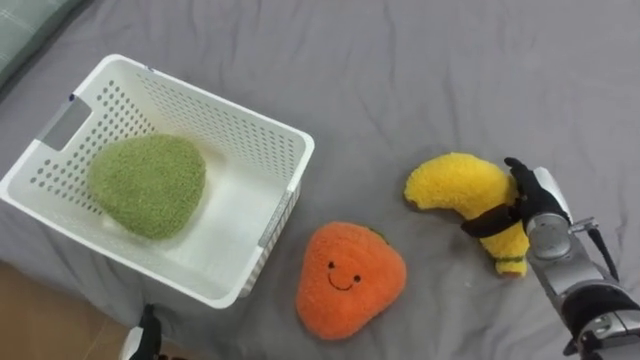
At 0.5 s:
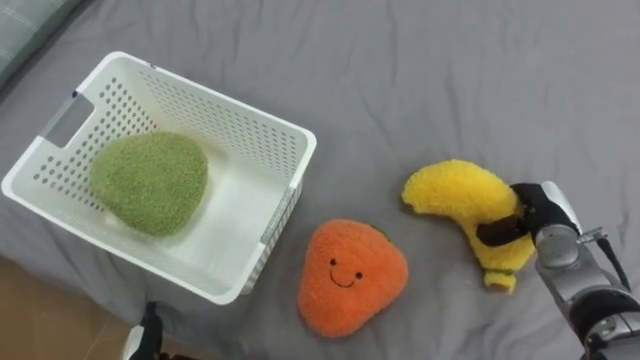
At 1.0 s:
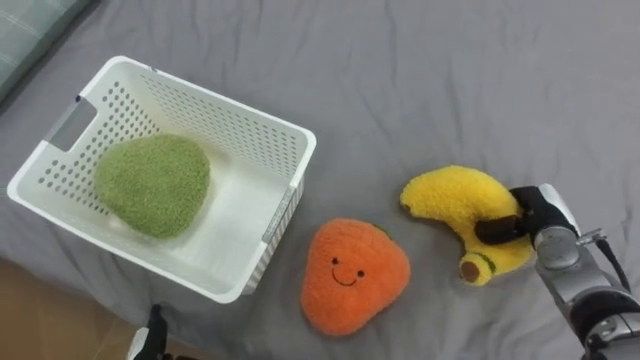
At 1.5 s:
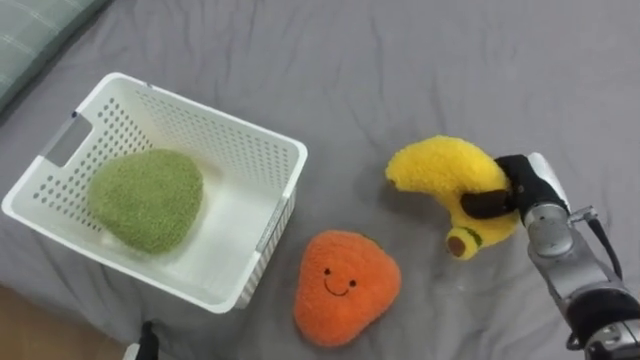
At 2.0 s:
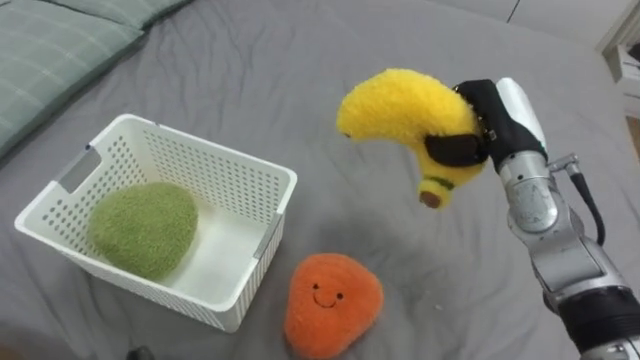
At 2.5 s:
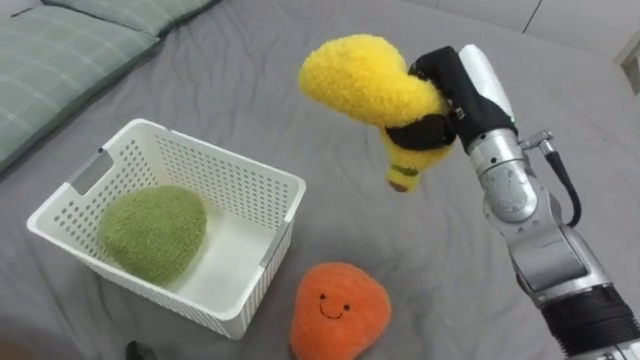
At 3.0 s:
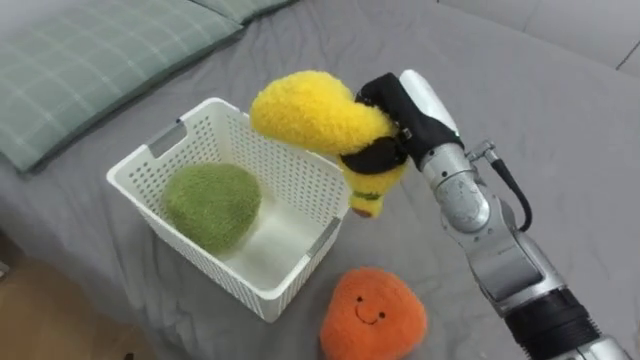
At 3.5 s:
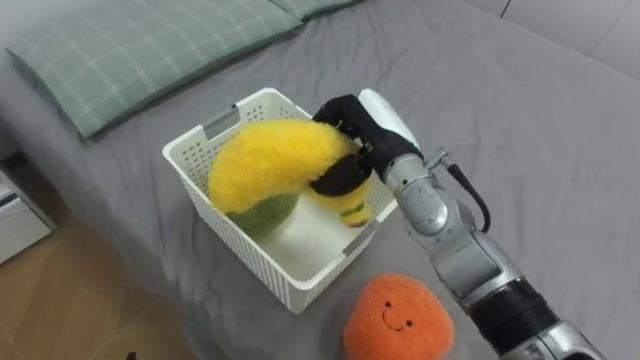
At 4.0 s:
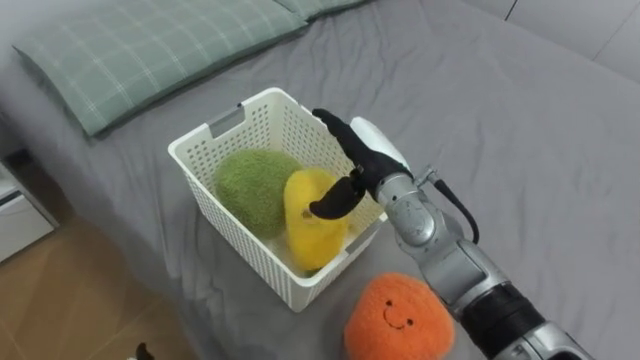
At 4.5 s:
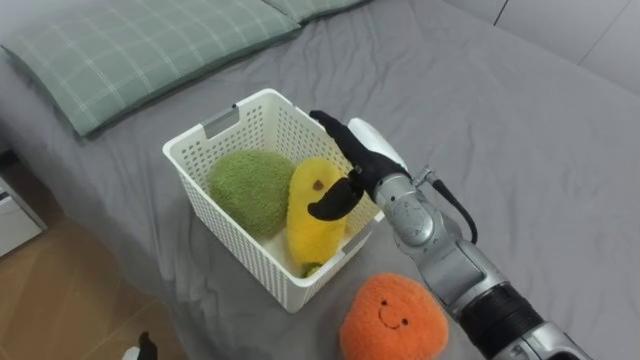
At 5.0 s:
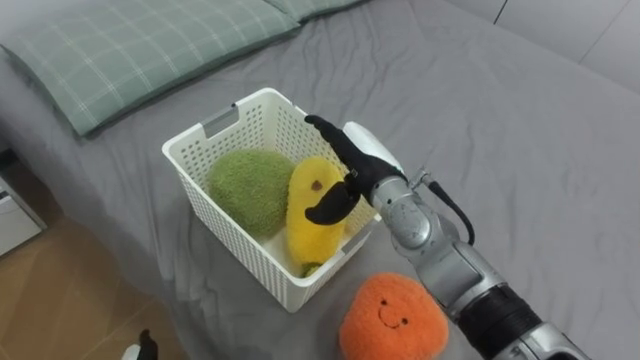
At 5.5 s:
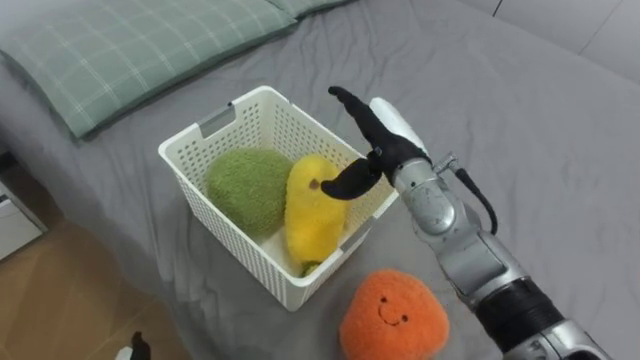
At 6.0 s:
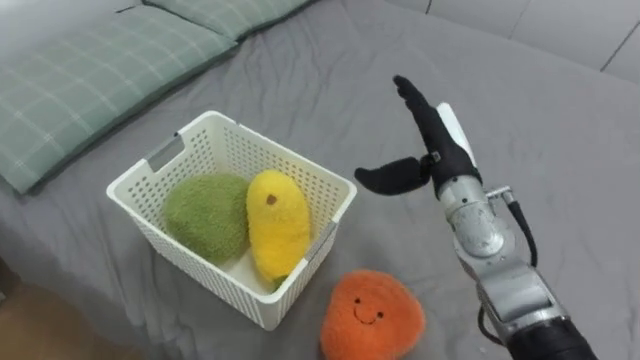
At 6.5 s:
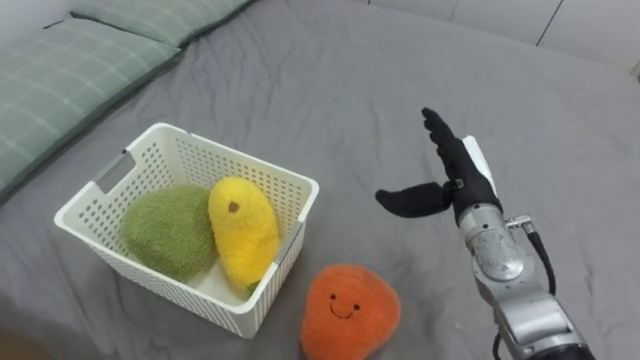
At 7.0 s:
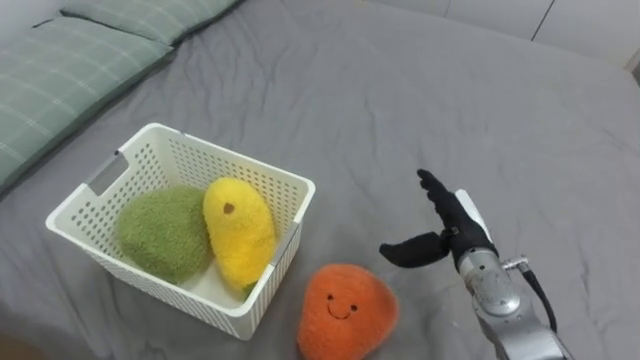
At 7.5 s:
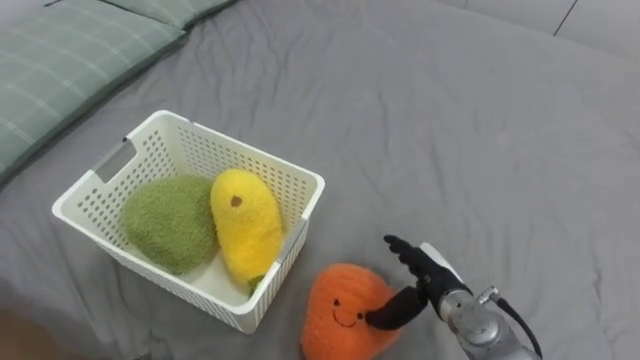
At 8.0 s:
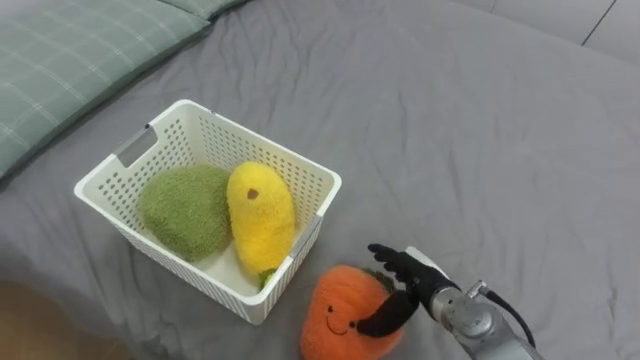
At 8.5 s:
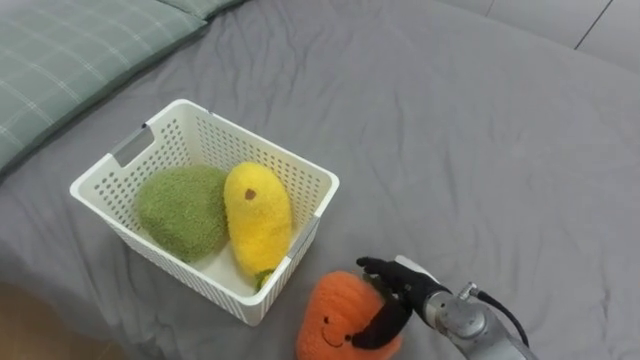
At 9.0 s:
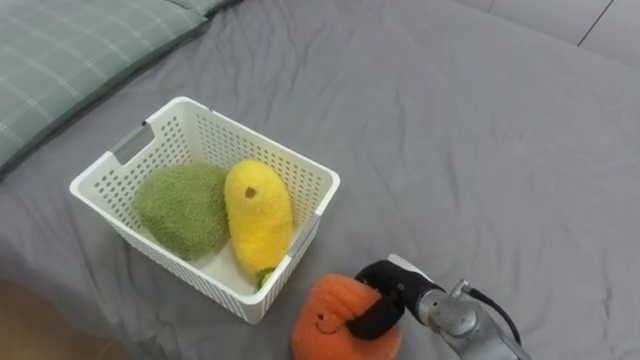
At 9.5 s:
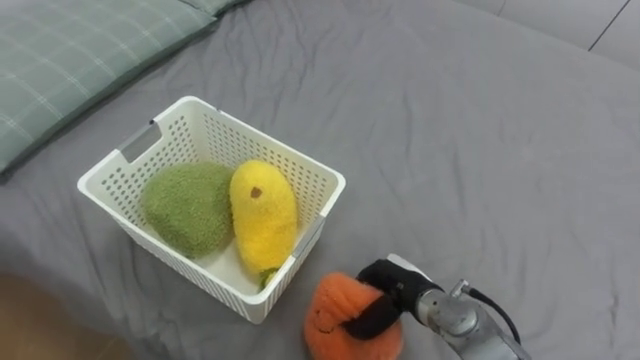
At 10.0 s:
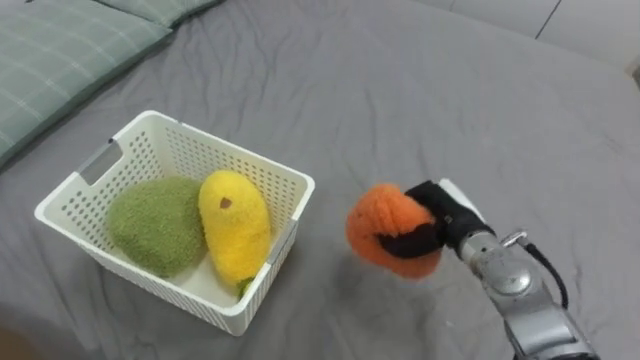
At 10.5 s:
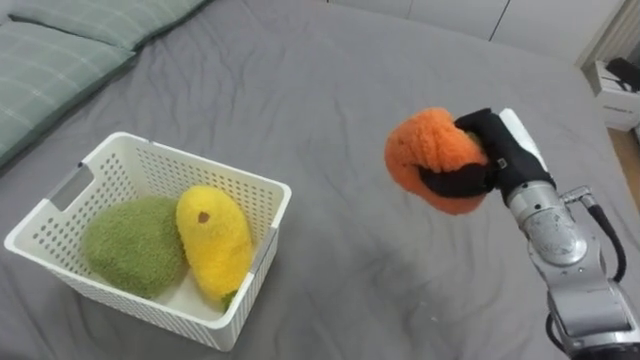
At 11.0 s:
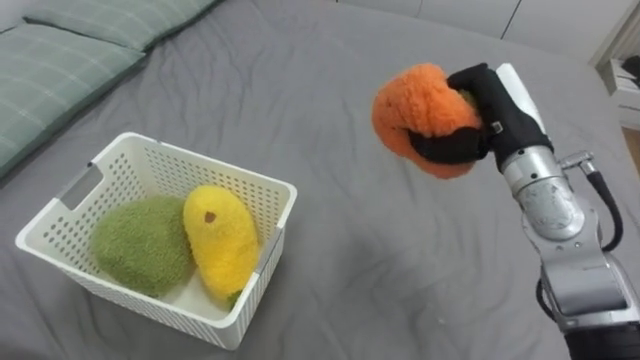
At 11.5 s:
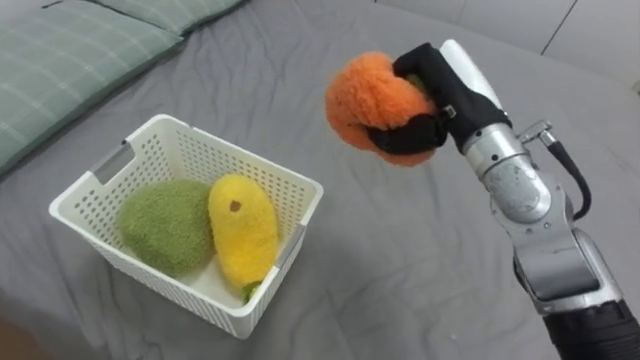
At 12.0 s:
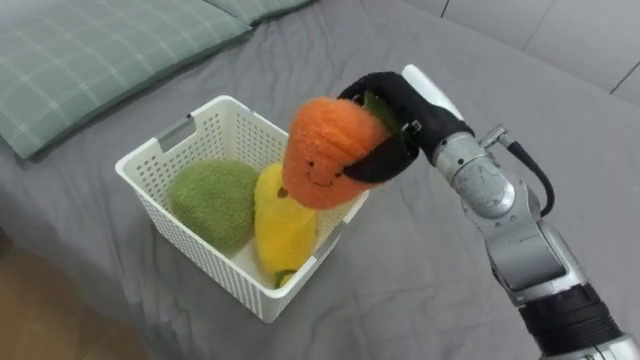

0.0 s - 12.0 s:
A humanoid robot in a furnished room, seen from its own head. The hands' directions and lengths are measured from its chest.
Task of the whole recording: Put the toys on the bed into the basket on the left.
0.0 s - 2.0 s: The right hand is displaced upward and to the left by about 15 cm, and closes.
2.0 s - 4.0 s: The right hand shifts some 15 cm to the left, and opens its fingers.
4.0 s - 6.0 s: The right hand moves to the right, approximately 10 cm.
6.0 s - 8.0 s: The right hand shifts some 20 cm downward and backward.
8.0 s - 10.0 s: The right hand is displaced upward and forward by about 10 cm, and closes its fingers.
10.0 s - 12.0 s: The right hand goes about 15 cm upward, and opens its fingers.

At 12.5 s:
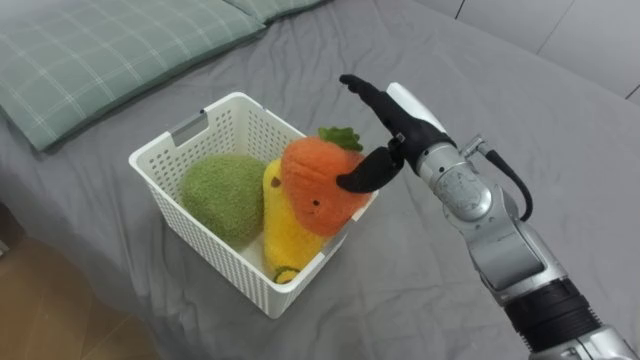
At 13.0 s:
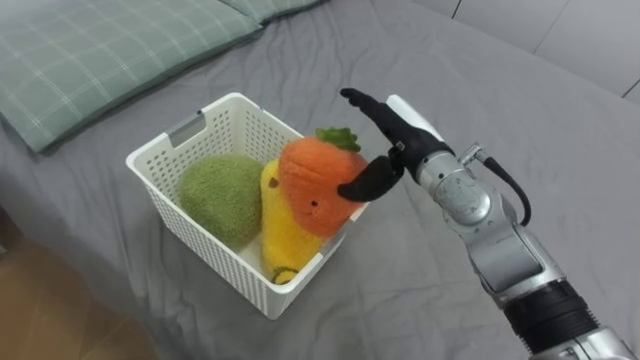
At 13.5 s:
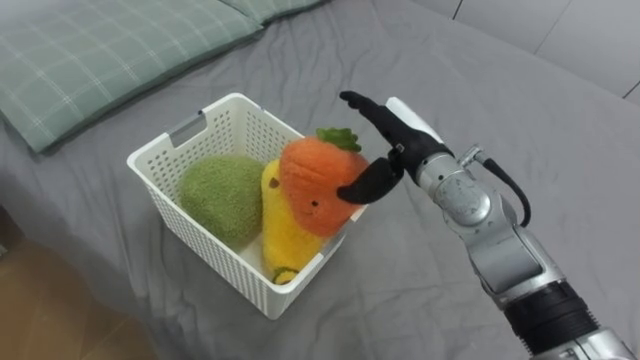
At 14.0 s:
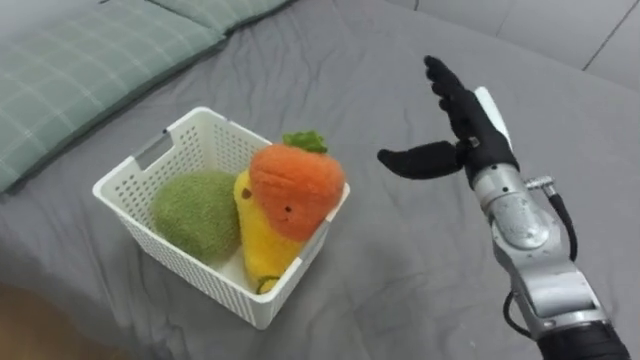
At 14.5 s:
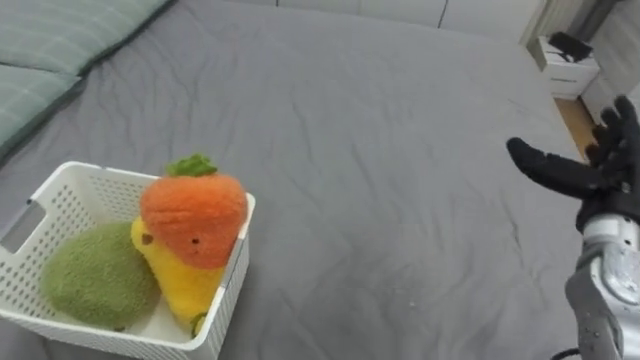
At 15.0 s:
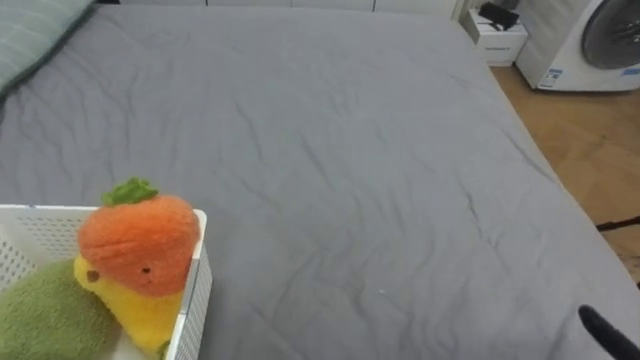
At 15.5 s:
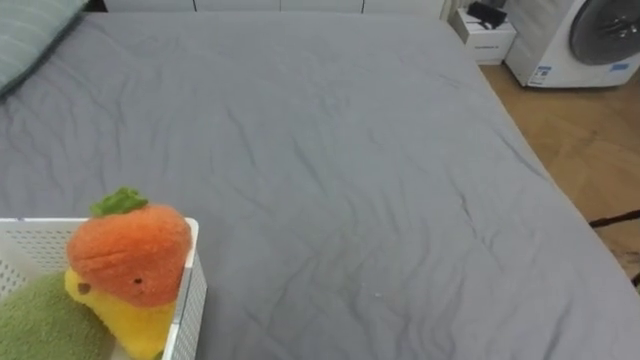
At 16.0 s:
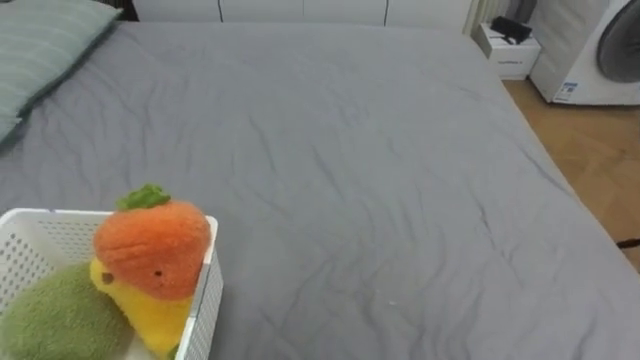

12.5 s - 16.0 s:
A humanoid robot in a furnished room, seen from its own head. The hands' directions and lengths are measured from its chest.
Task of the whole recording: Put the toys on the bed into the basket on the left.
12.5 s - 14.5 s: The right hand is displaced to the right by about 25 cm.

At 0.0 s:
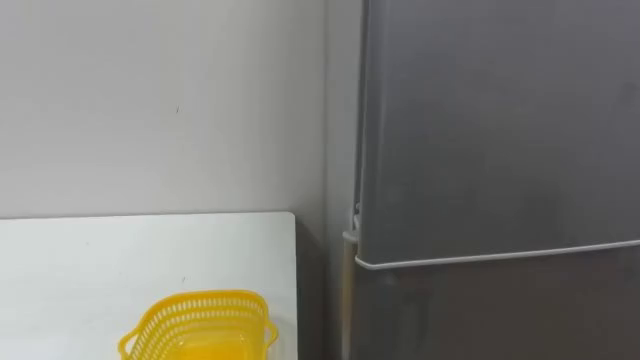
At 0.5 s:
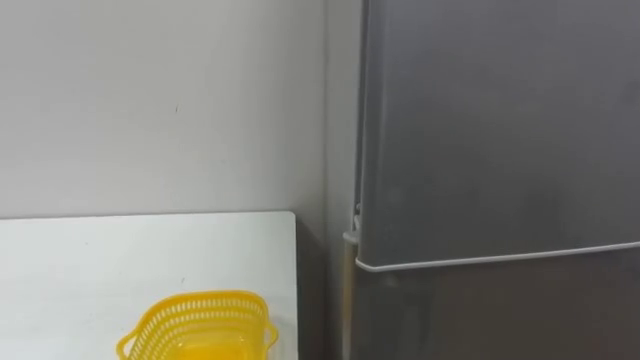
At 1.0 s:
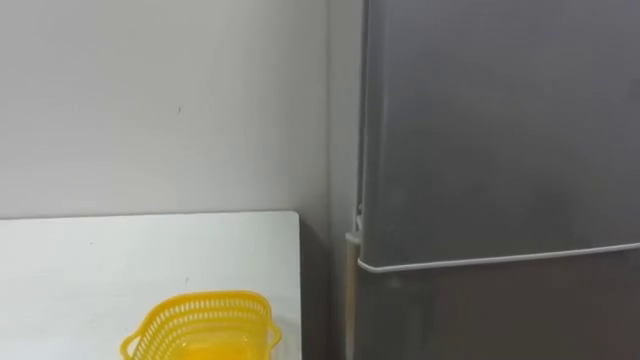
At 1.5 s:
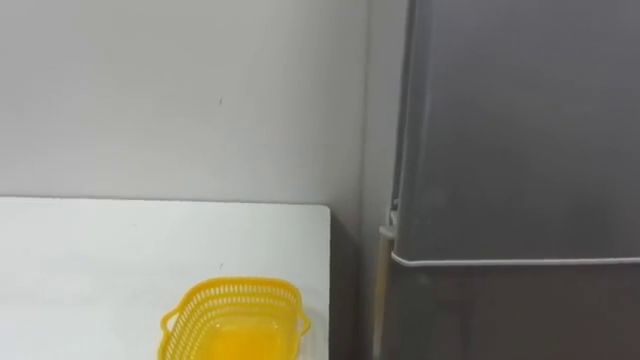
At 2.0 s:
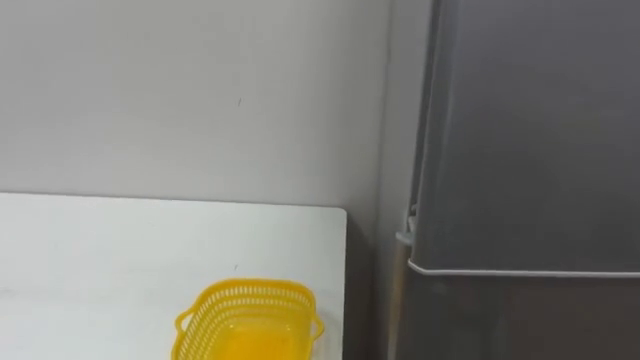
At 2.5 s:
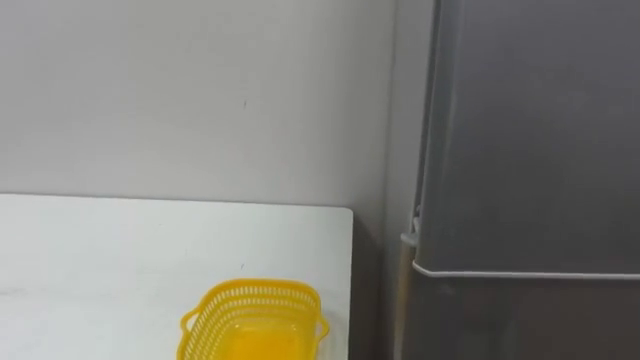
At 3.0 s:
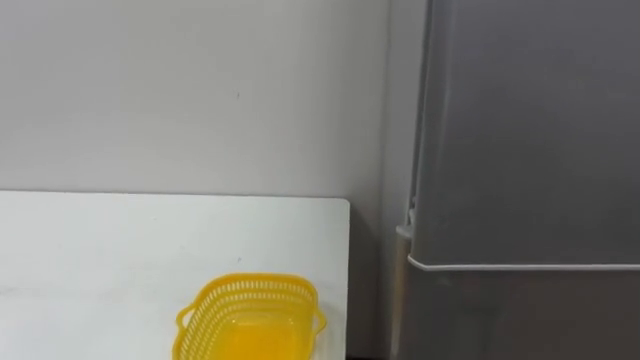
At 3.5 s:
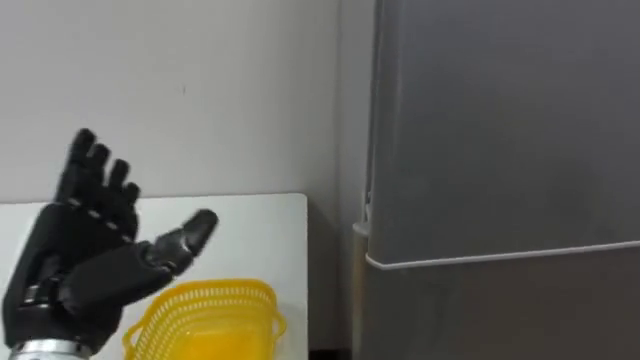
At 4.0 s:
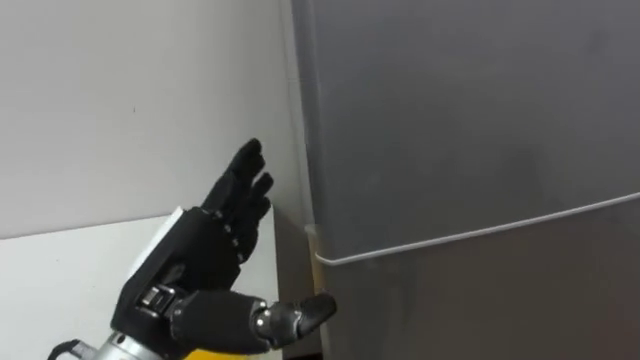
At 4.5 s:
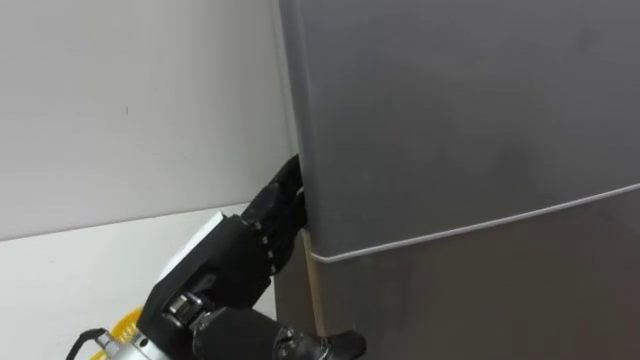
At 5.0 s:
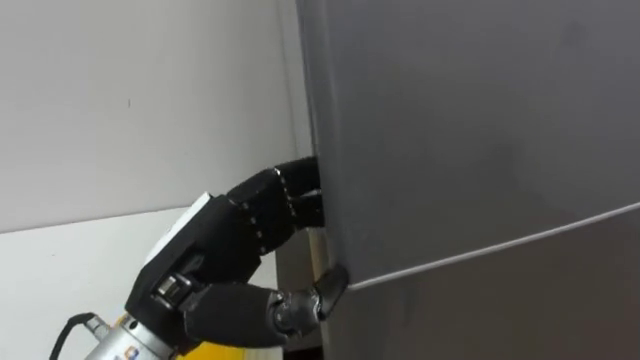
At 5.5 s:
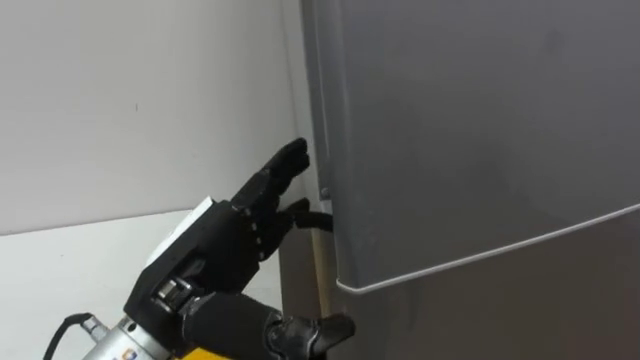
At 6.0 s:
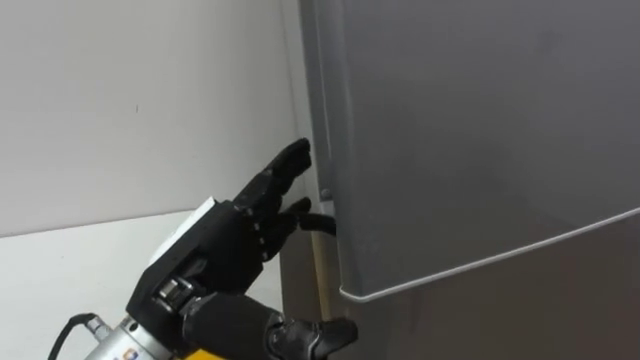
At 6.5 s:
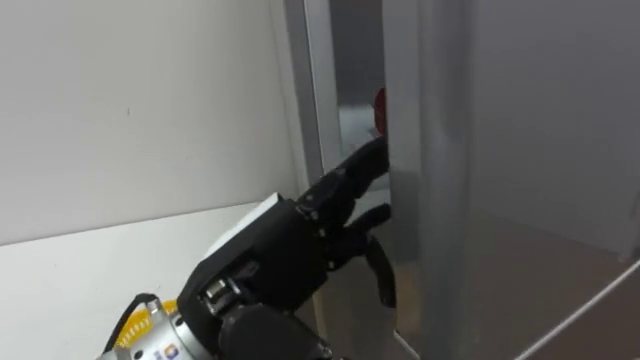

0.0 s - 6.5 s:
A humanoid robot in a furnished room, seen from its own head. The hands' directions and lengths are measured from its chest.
Task of the whole recording: Open the refrigerator door, take out the apple and the pomegranate, place them in the fruit basket on the left, and close the refrigerator door.
4.5 s - 6.5 s: The left hand shifts by about 5 cm.
